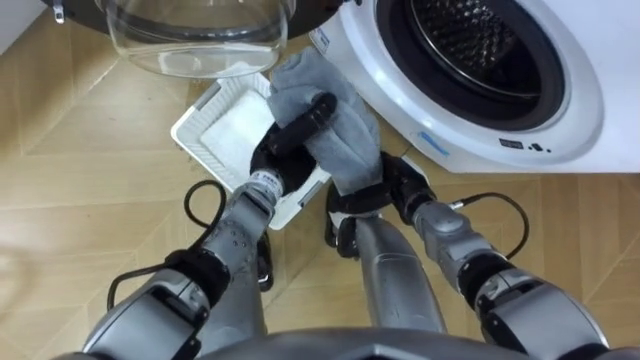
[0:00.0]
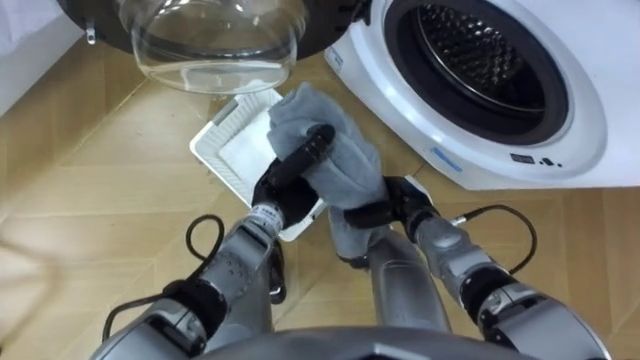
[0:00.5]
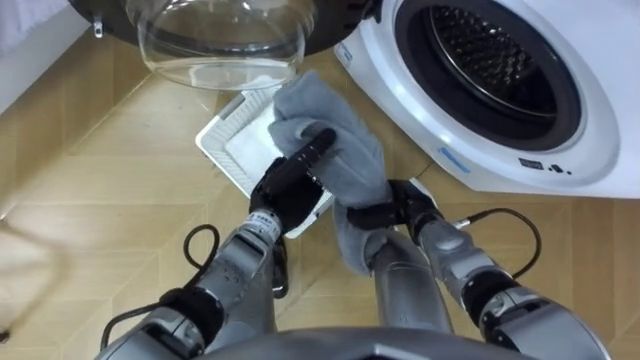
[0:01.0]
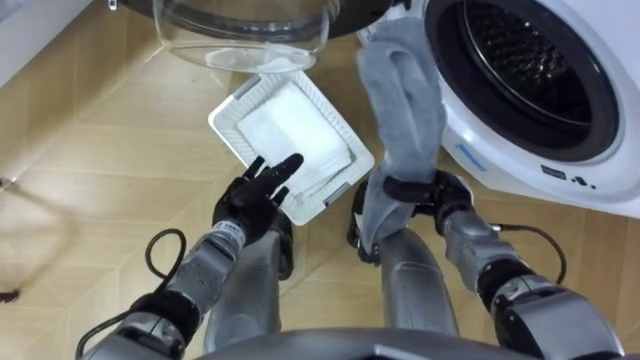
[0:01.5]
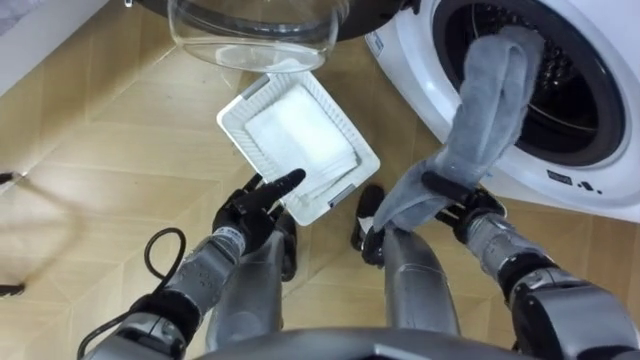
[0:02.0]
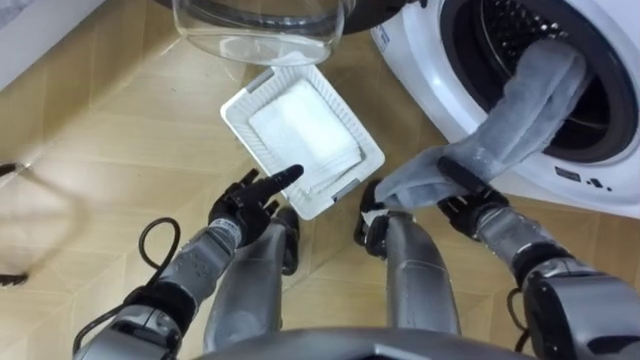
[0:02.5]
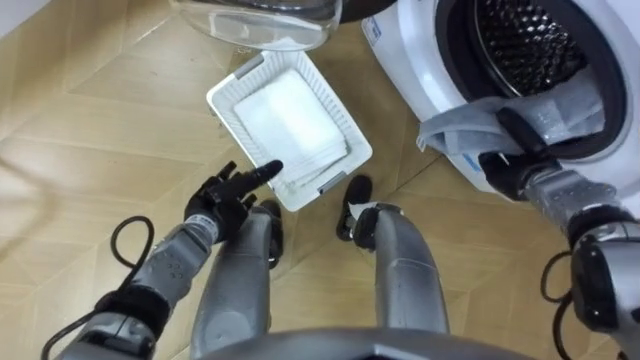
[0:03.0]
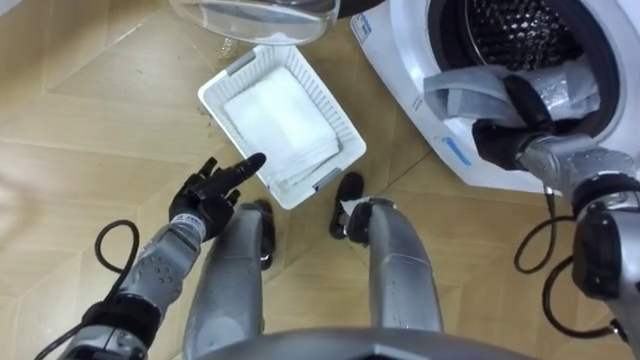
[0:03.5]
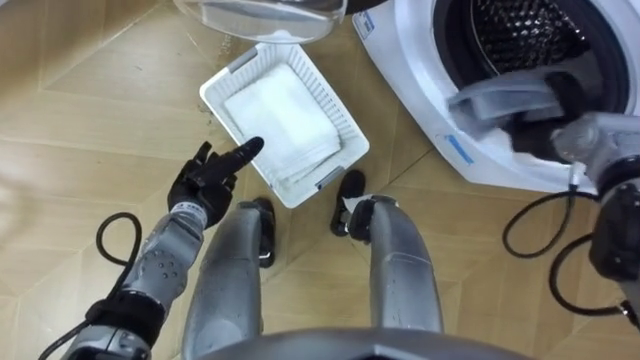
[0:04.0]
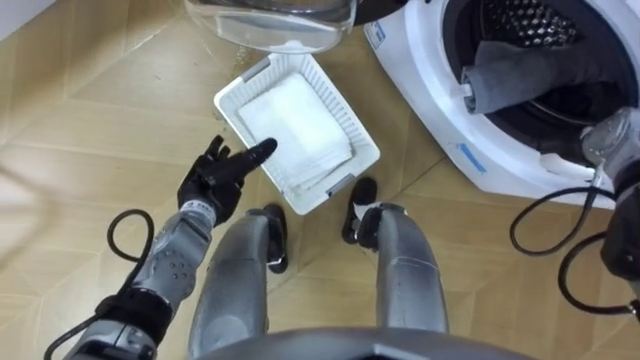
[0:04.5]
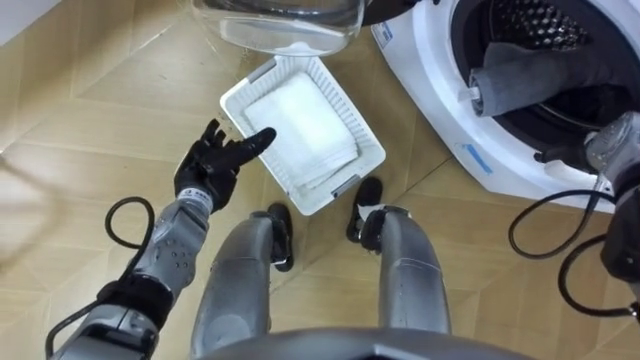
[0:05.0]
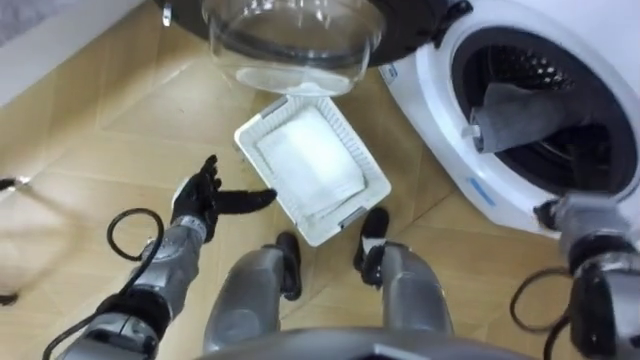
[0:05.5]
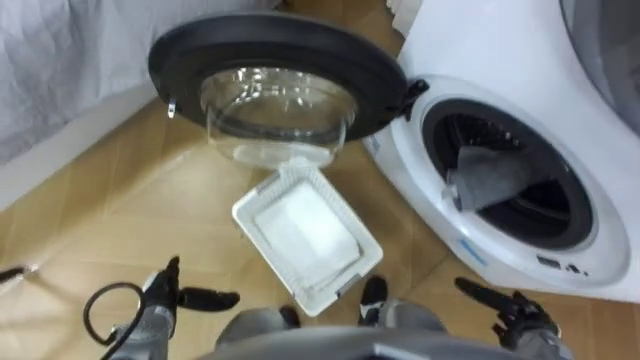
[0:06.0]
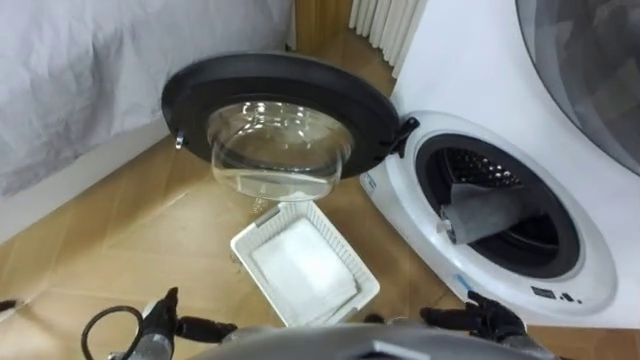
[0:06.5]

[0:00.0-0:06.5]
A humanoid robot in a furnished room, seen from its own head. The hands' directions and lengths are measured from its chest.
Task of the whole recording: Take the towel from the basket and put it into the washing machine.
0:00.0 to 0:02.0: The left hand heads downward, to the left and backward, covering about 15 cm, and opens up. Meanwhile the right hand moves to the right, roughly 10 cm, and closes.
0:02.0 to 0:04.5: The right hand moves to the right, upward and forward, about 15 cm, and opens up. The left hand shifts by about 10 cm.
0:04.5 to 0:06.5: The left hand heads backward and downward, covering approximately 25 cm. Meanwhile the right hand heads backward, downward and to the left, covering about 30 cm.

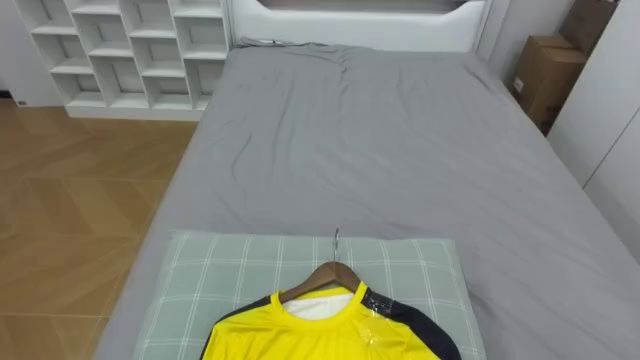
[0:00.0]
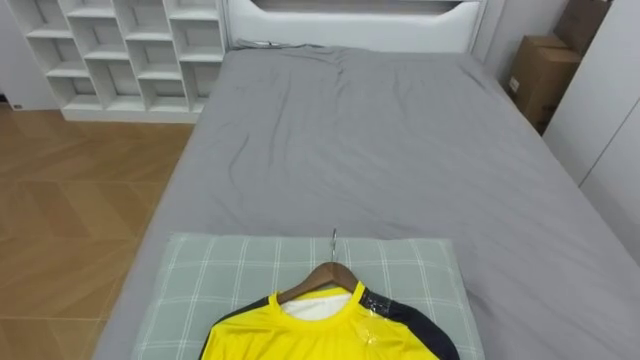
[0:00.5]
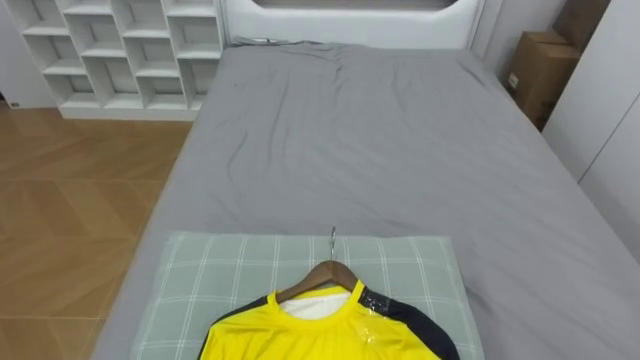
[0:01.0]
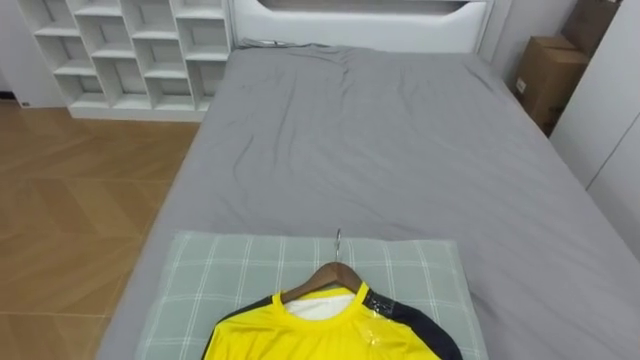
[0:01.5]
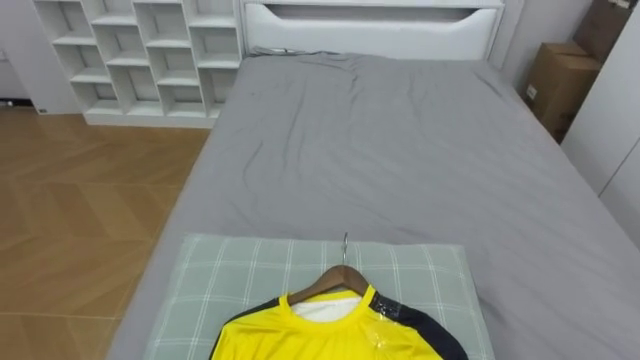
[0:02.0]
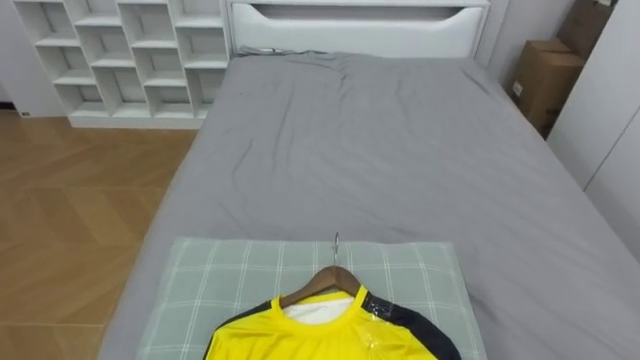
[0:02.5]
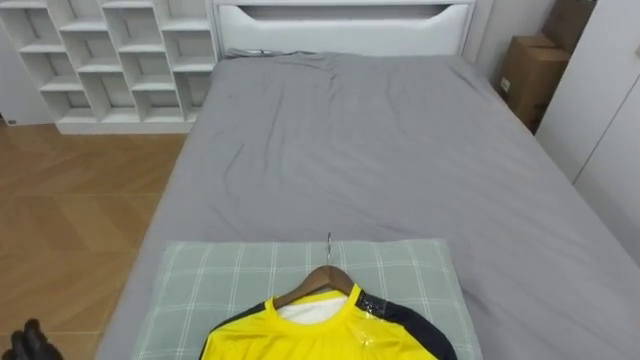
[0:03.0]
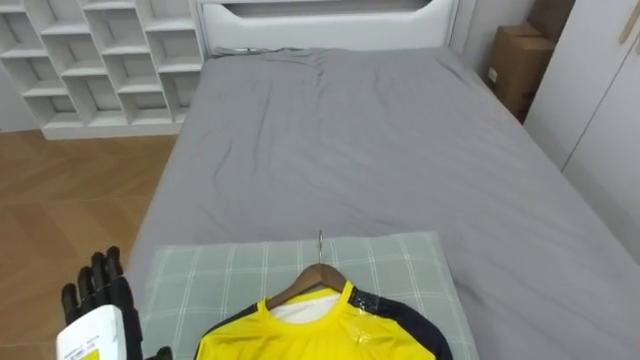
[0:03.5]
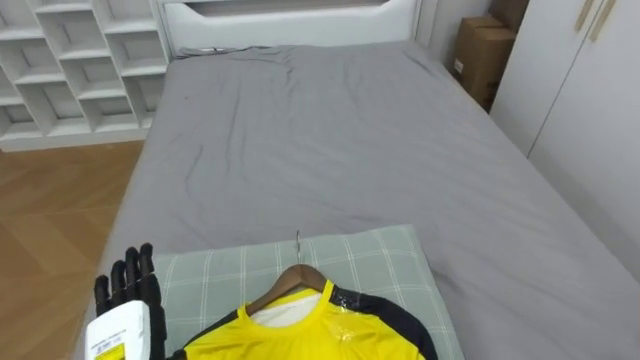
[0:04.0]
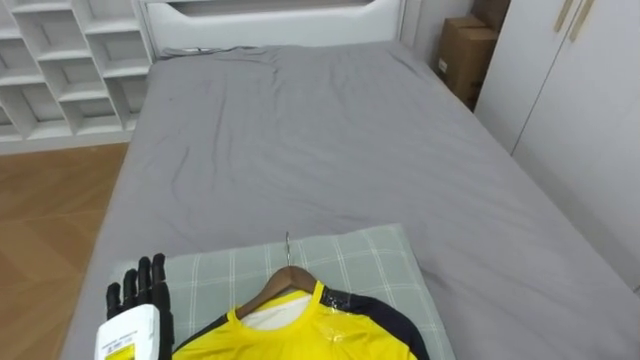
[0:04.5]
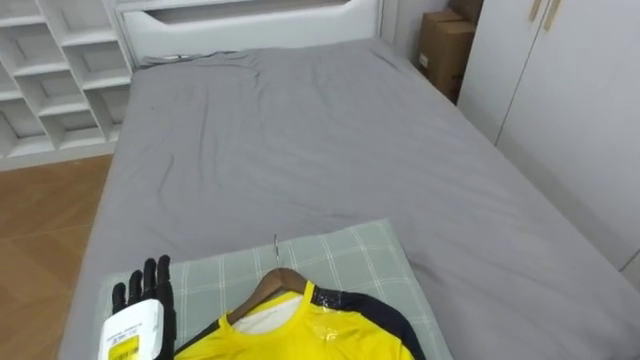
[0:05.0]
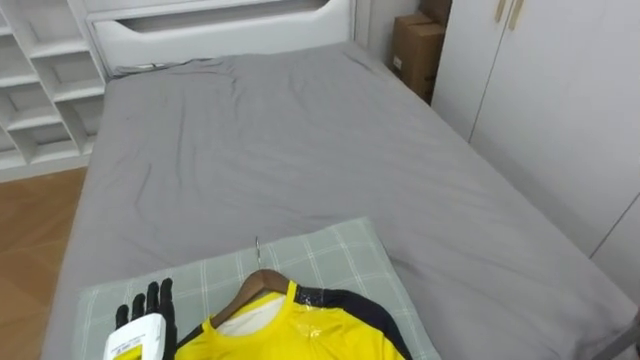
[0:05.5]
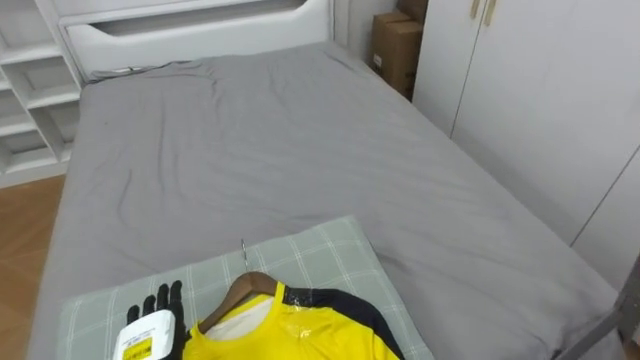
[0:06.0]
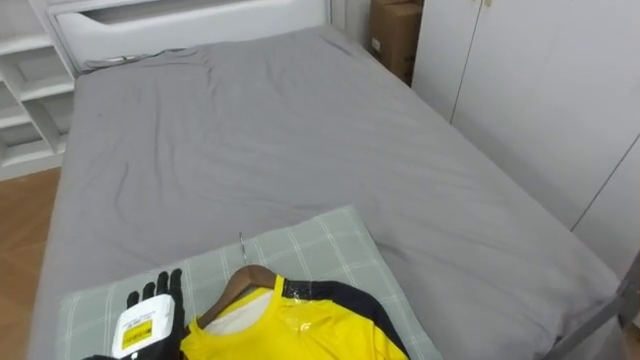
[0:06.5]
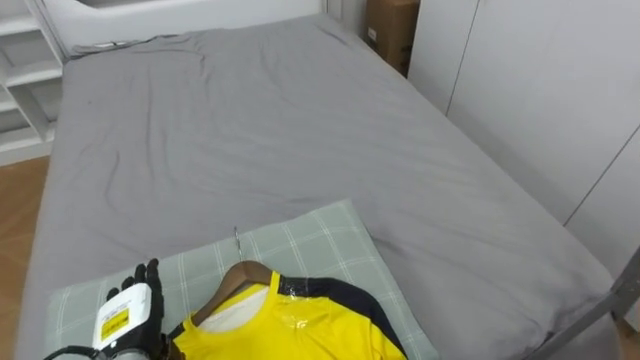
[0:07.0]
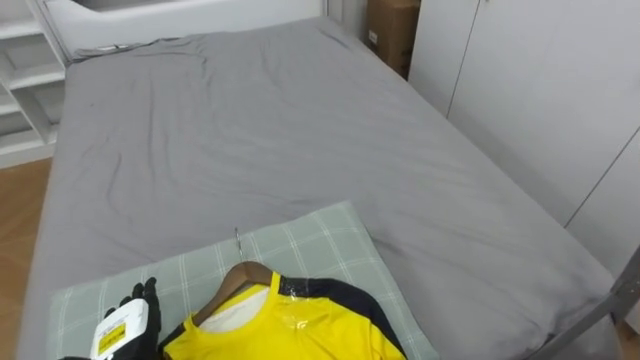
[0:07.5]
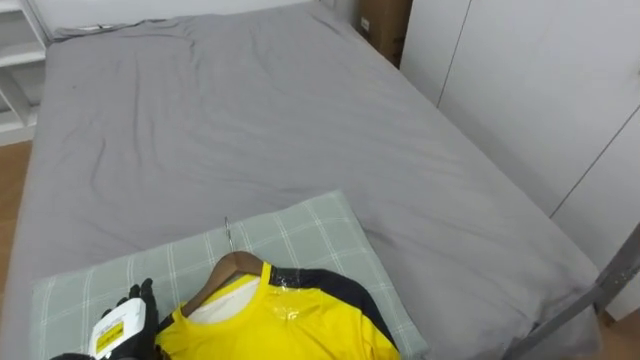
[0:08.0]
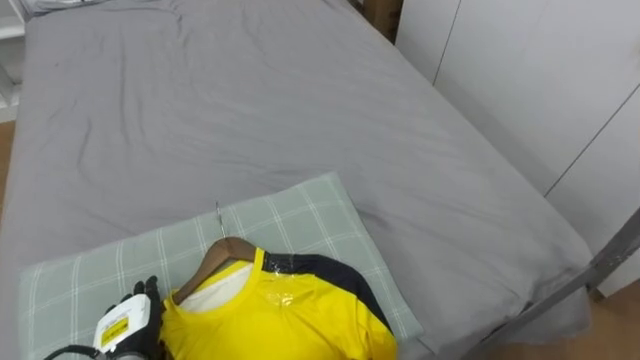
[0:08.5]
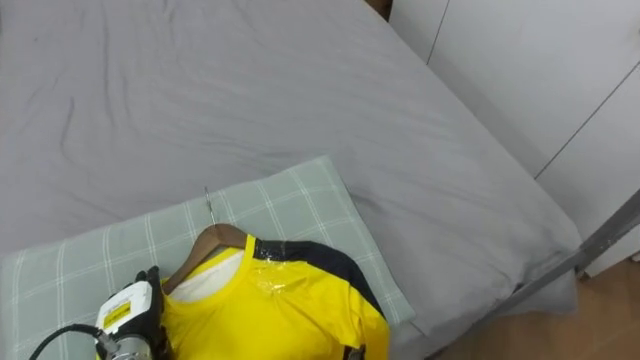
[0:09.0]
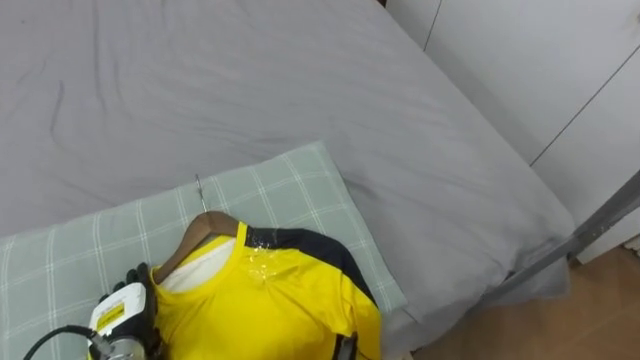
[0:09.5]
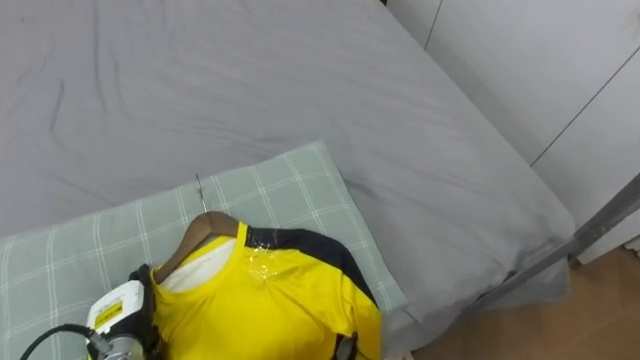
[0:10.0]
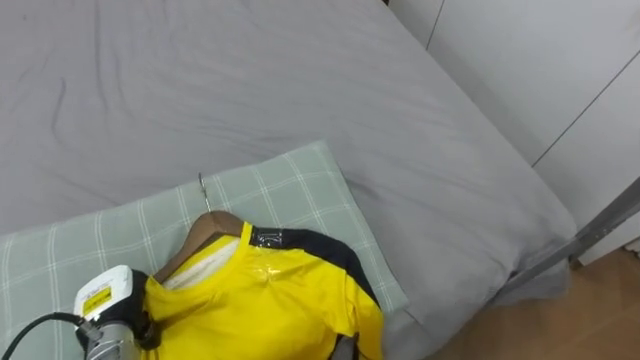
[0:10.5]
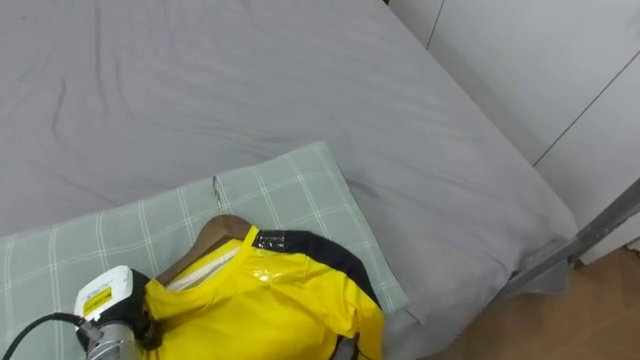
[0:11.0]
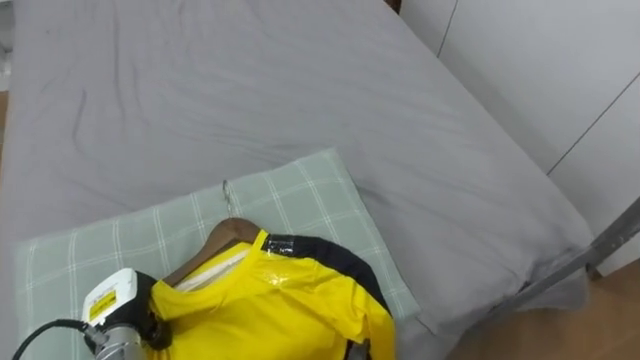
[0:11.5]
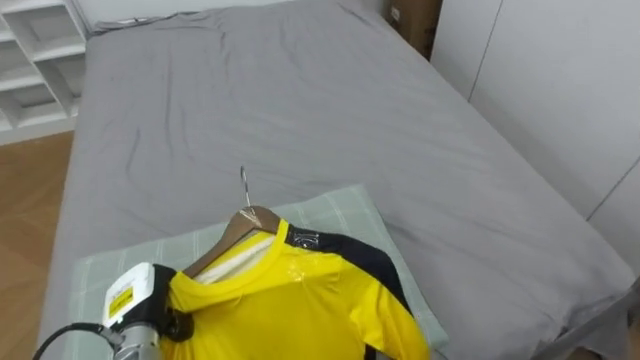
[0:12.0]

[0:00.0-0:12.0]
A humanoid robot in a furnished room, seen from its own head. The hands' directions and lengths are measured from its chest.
Task of the whole recording: Pick up the yellow shirt on the bed and hang it on the clothes rack on the right.
0:10.0 to 0:12.0: The left hand closes up.

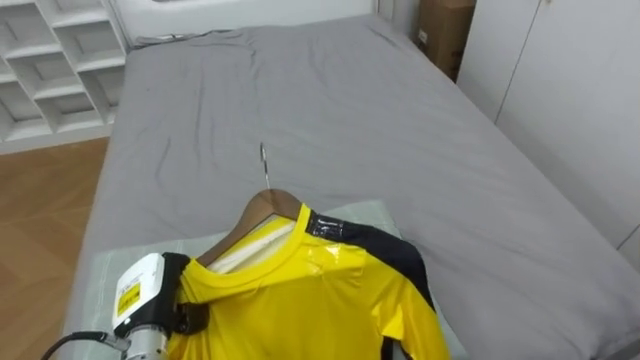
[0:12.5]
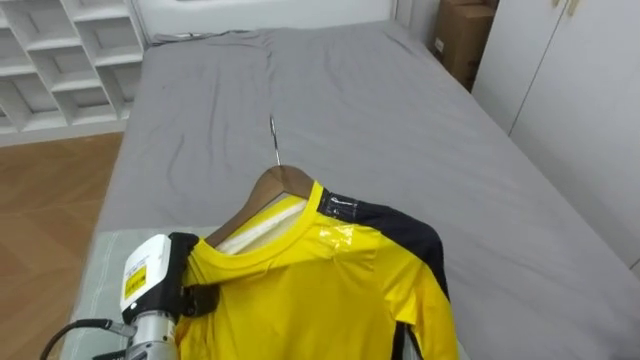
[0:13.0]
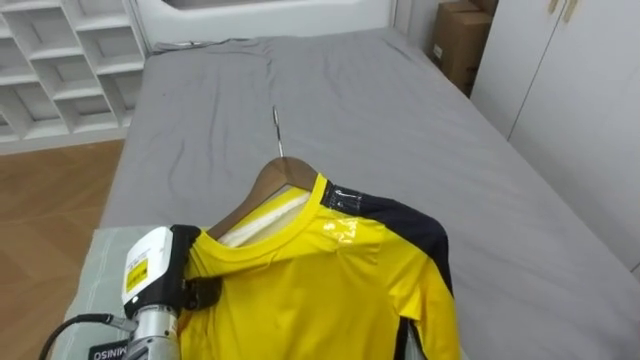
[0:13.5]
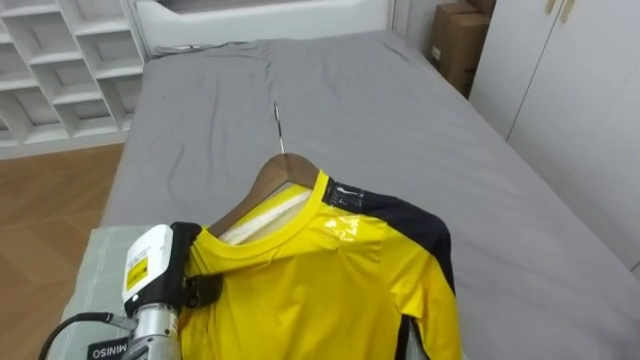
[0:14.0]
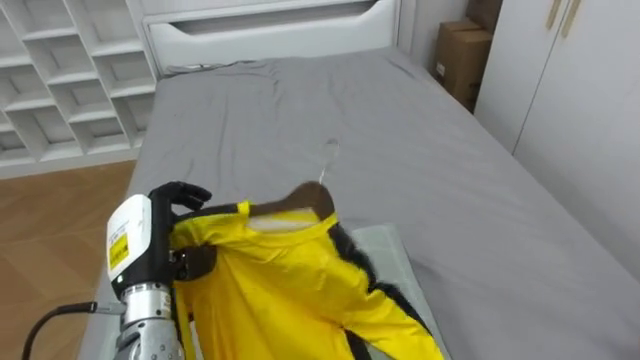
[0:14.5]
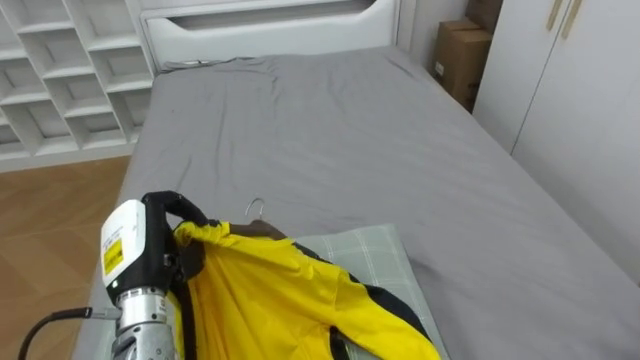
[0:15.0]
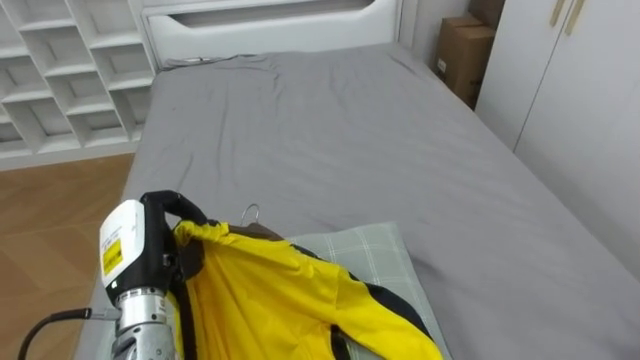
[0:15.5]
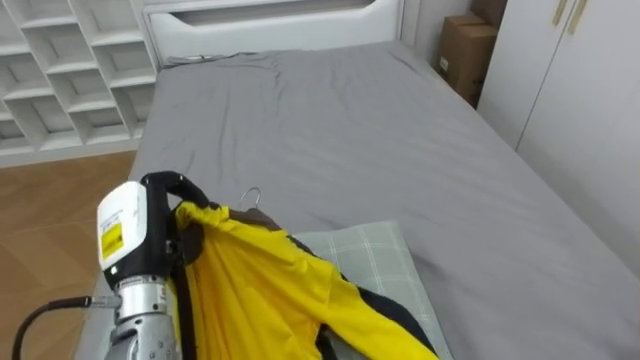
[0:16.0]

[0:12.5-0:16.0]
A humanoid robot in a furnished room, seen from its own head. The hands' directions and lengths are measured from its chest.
Task of the whole recording: Pick up the yellow shirt on the bed and hang it on the clothes rack on the right.
0:12.5 to 0:14.5: The left hand travels upward by about 10 cm.
